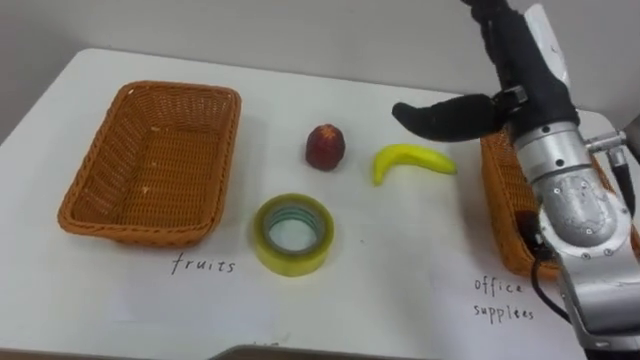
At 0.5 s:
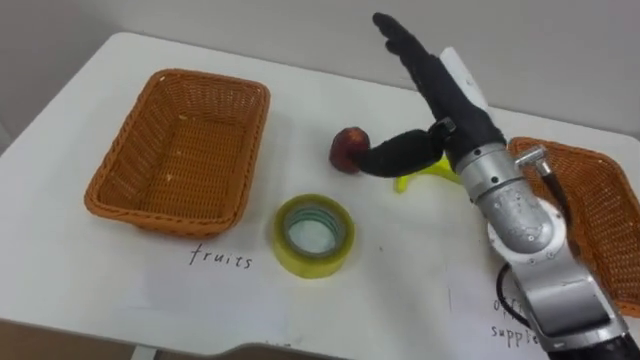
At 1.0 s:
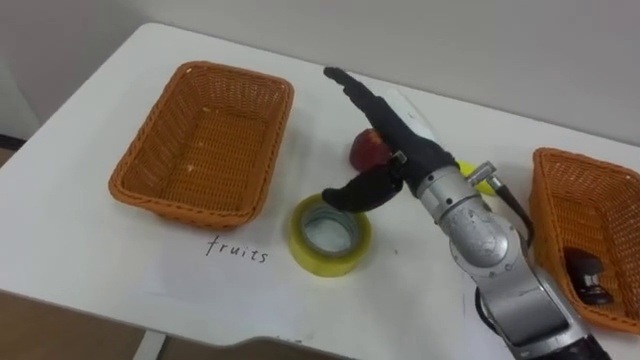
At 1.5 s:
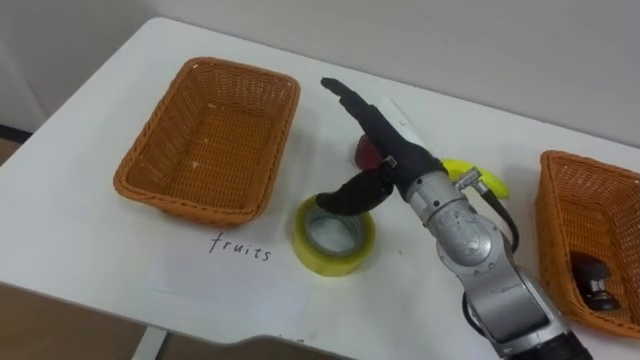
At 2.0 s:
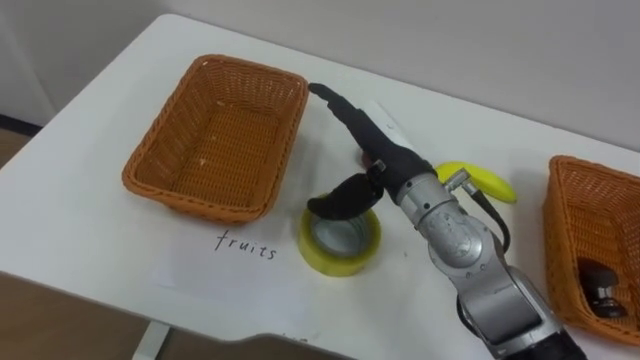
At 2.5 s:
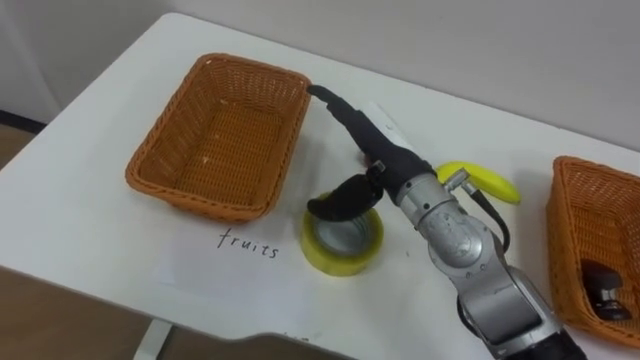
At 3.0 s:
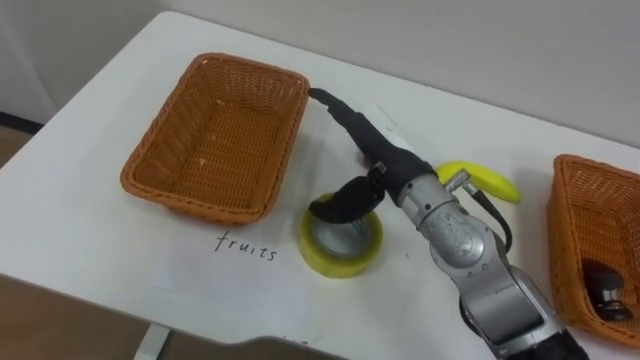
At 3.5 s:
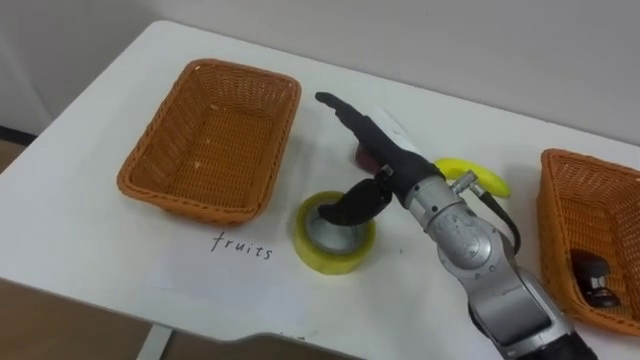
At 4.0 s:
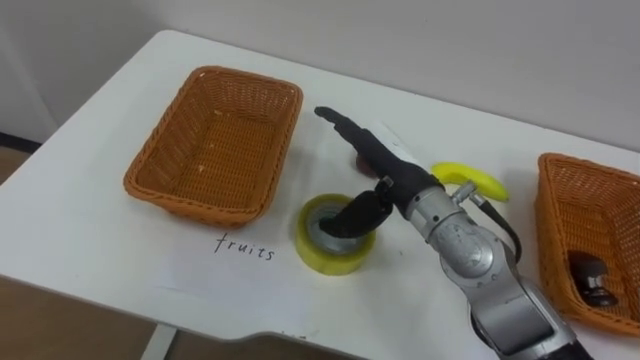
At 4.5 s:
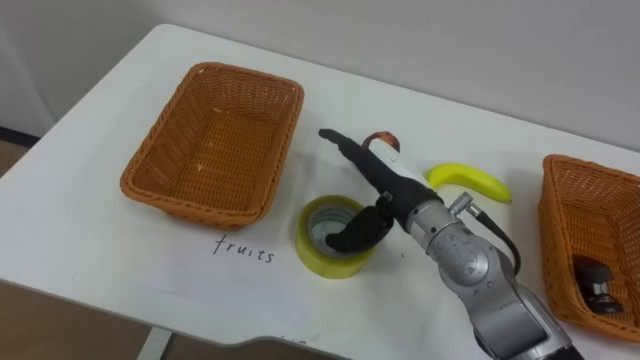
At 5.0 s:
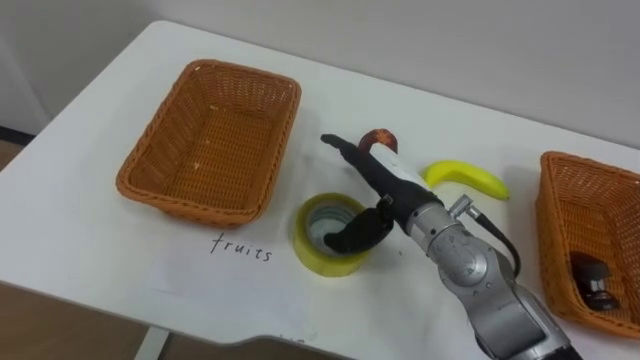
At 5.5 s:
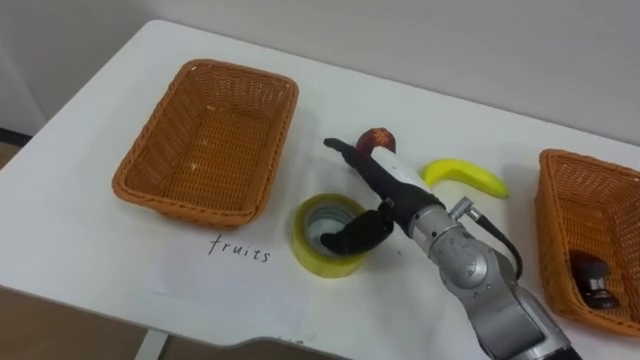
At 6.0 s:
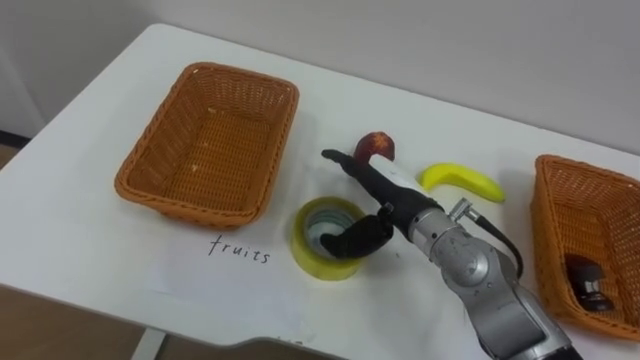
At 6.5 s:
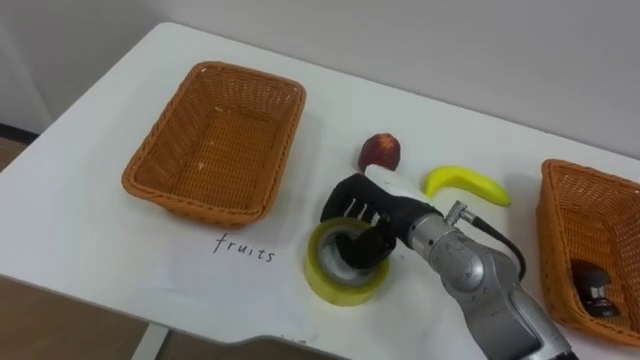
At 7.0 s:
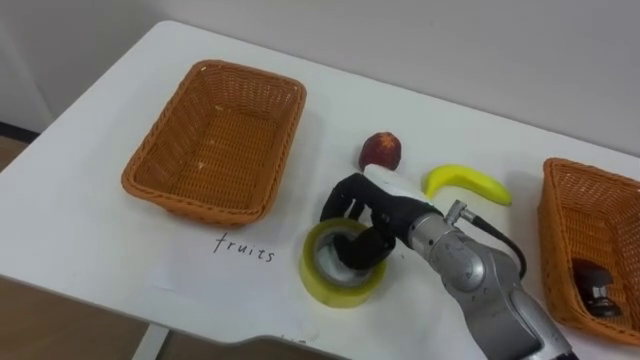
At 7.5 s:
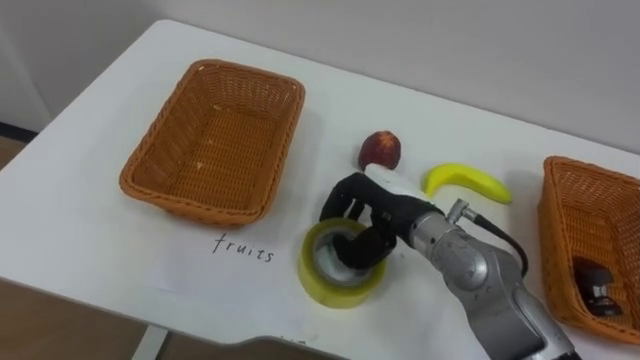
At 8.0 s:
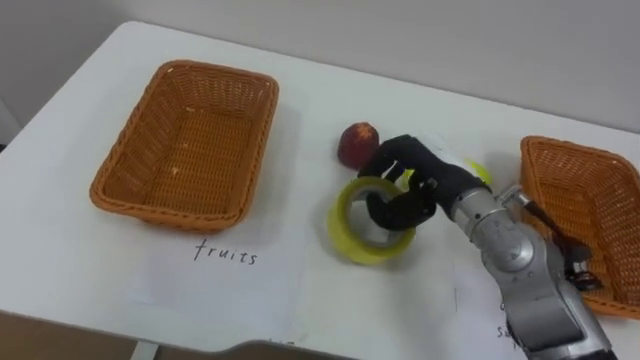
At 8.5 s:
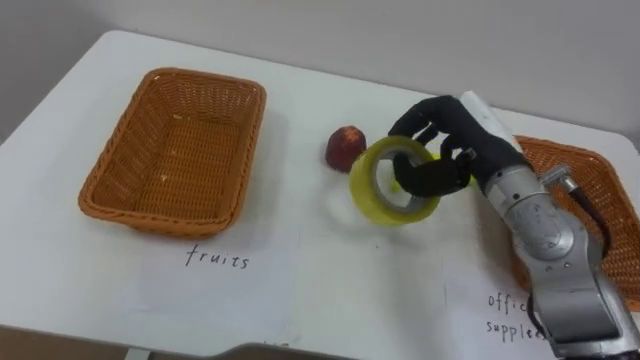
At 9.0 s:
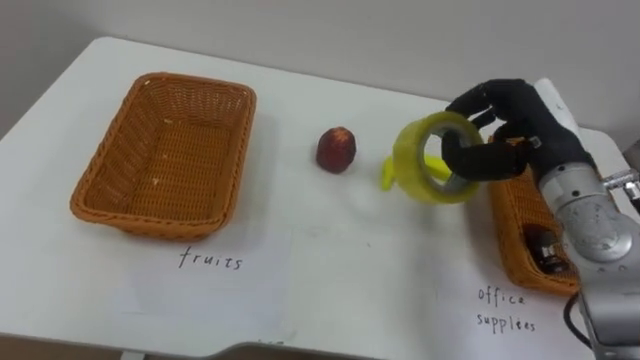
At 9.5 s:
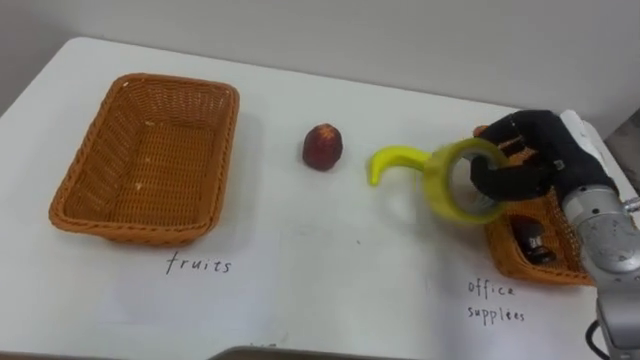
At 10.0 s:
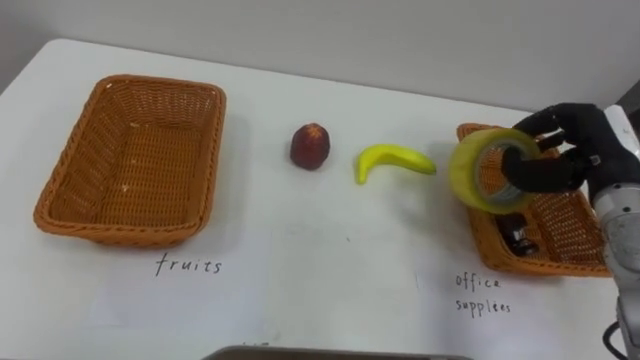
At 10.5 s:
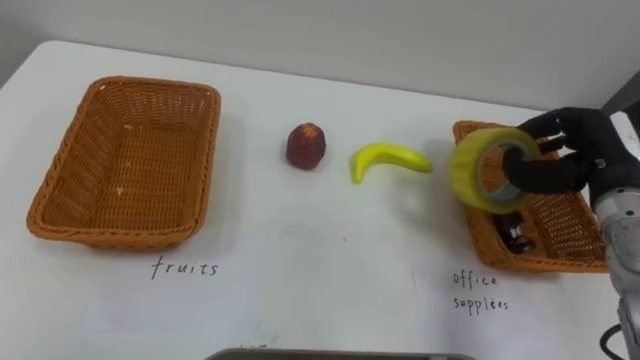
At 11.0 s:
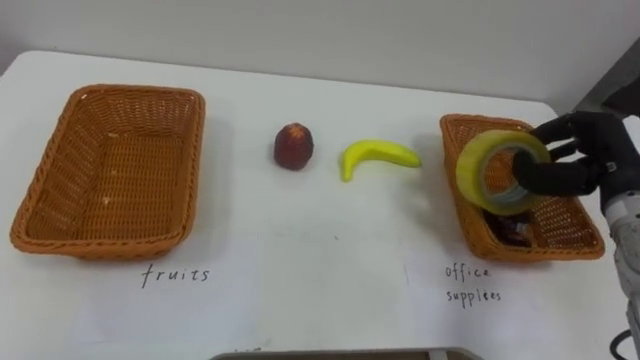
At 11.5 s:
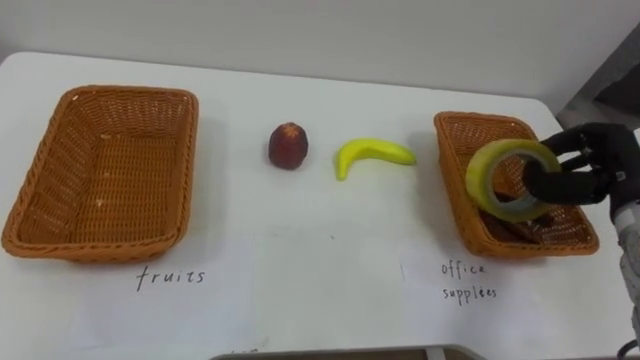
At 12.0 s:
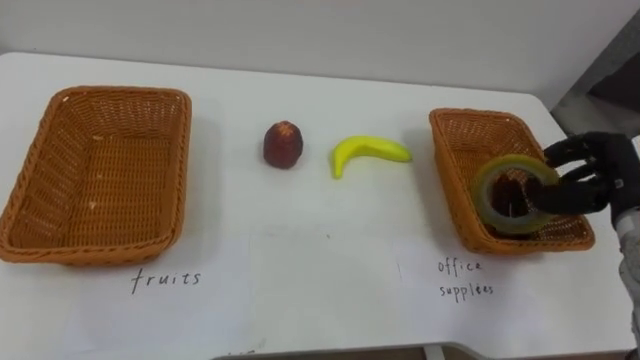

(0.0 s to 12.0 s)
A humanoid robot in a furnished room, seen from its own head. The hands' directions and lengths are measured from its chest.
Task of the whole recording: Separate the items on the table and place them into the two baskets.
0.0 s - 2.0 s: The right hand is displaced to the left and downward by some 15 cm.
6.0 s - 8.0 s: The right hand moves to the right, roughly 5 cm, and closes up.
8.0 s - 10.0 s: The right hand goes roughly 20 cm to the right.
10.0 s - 12.0 s: The right hand shifts by some 5 cm.

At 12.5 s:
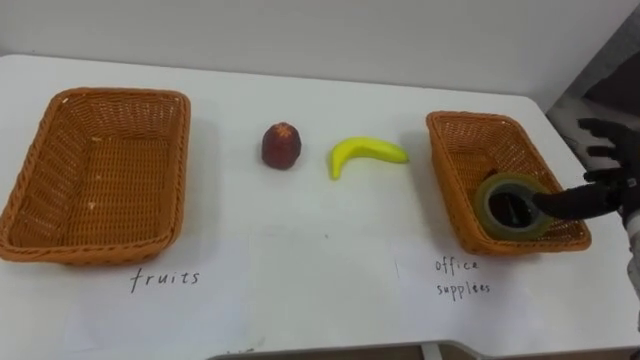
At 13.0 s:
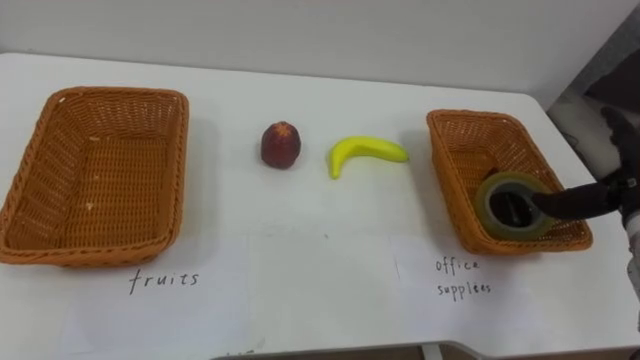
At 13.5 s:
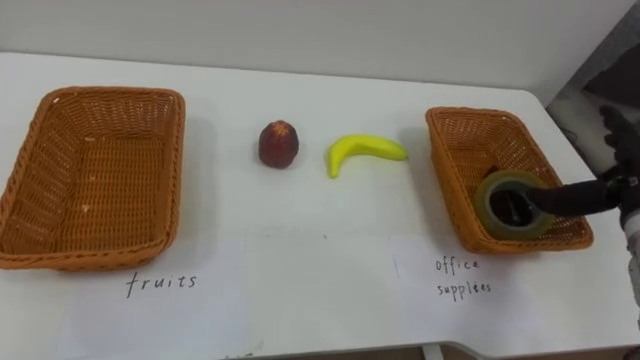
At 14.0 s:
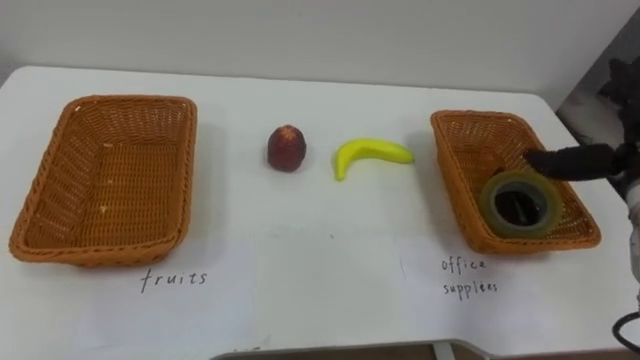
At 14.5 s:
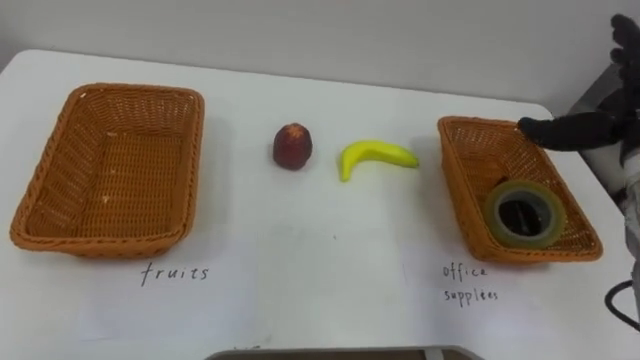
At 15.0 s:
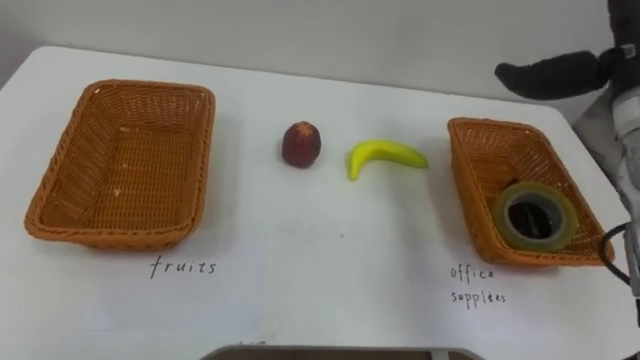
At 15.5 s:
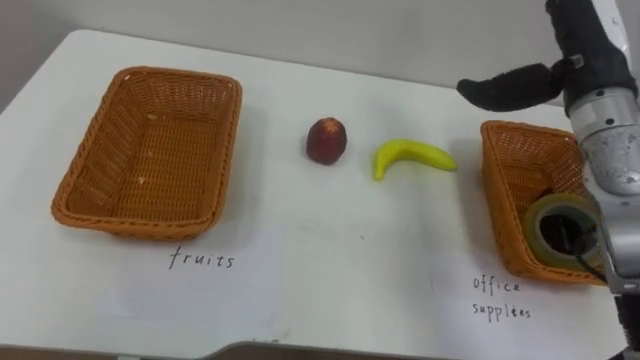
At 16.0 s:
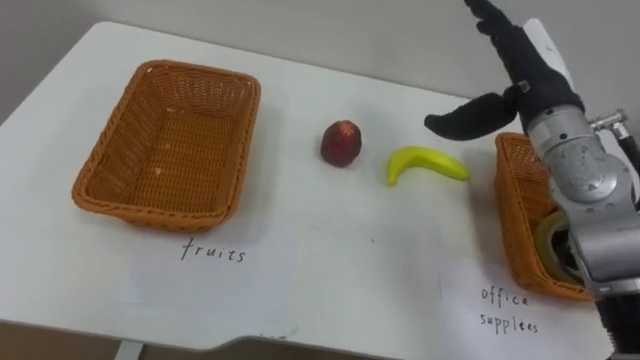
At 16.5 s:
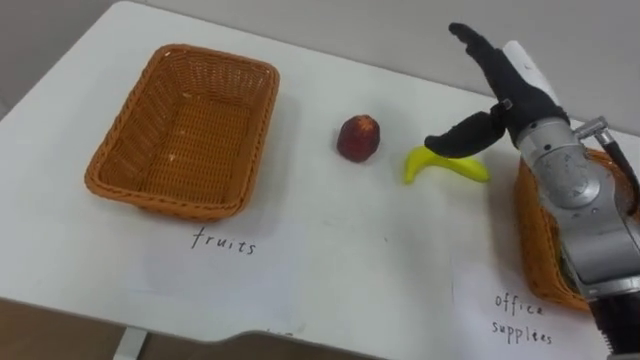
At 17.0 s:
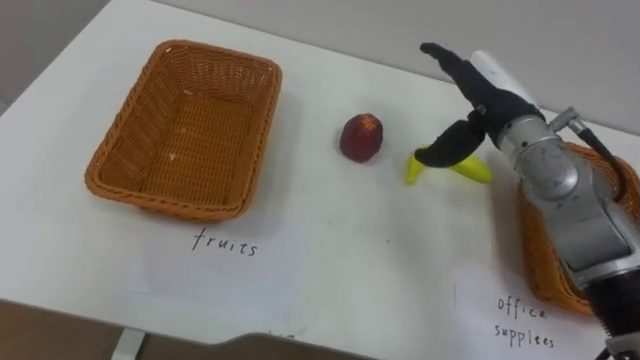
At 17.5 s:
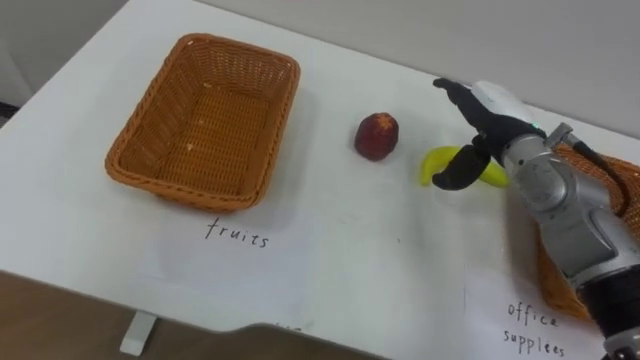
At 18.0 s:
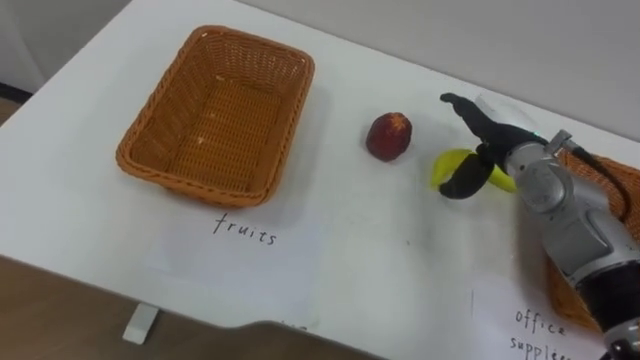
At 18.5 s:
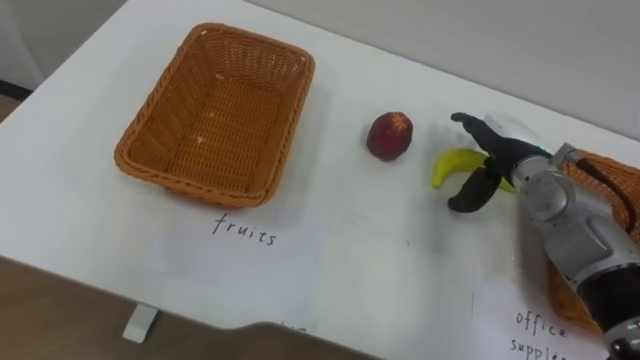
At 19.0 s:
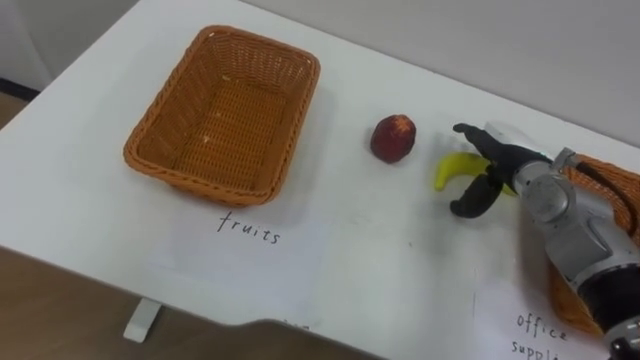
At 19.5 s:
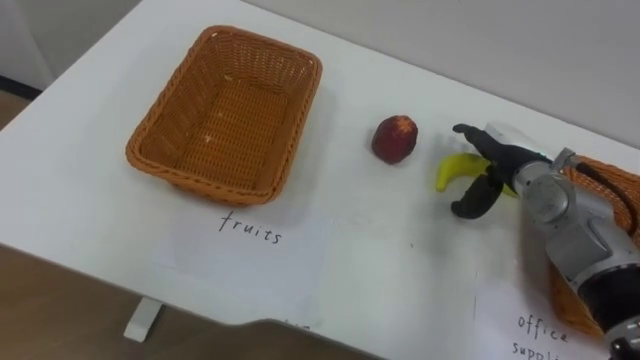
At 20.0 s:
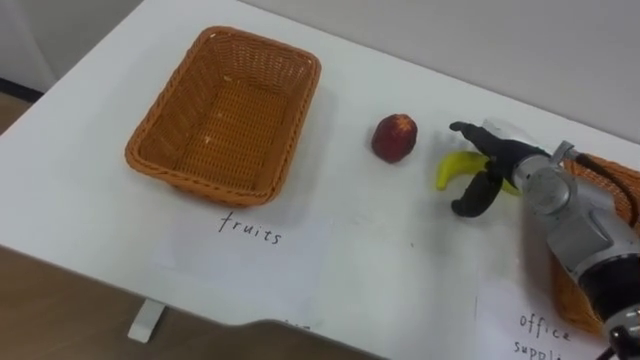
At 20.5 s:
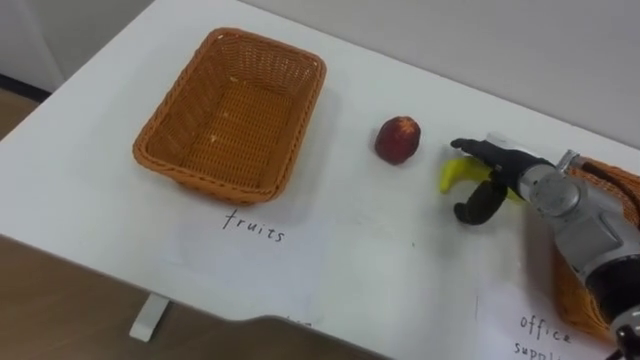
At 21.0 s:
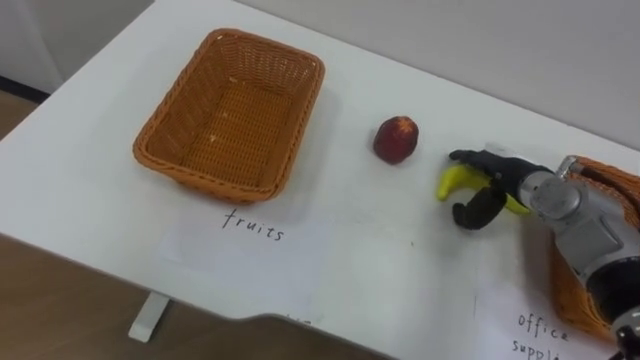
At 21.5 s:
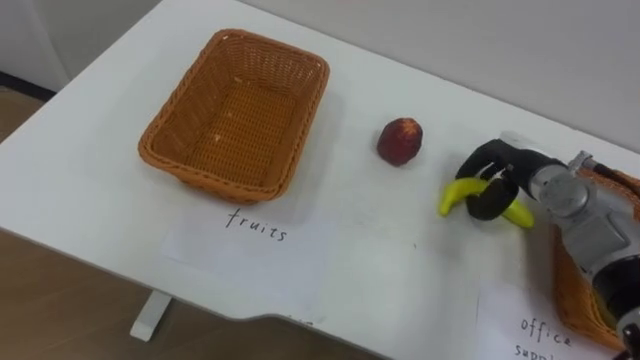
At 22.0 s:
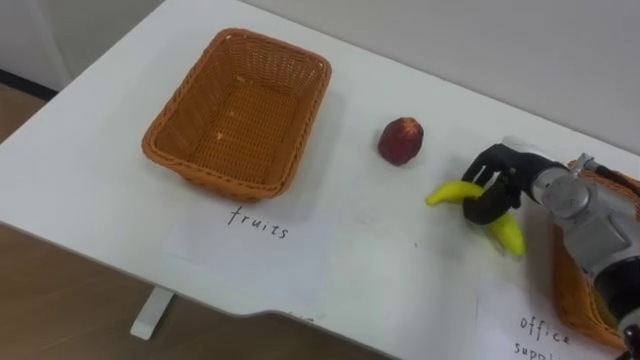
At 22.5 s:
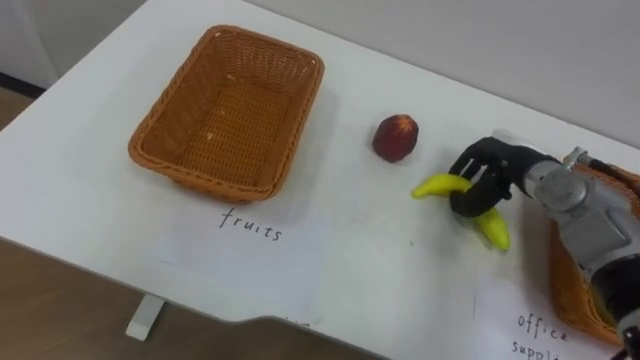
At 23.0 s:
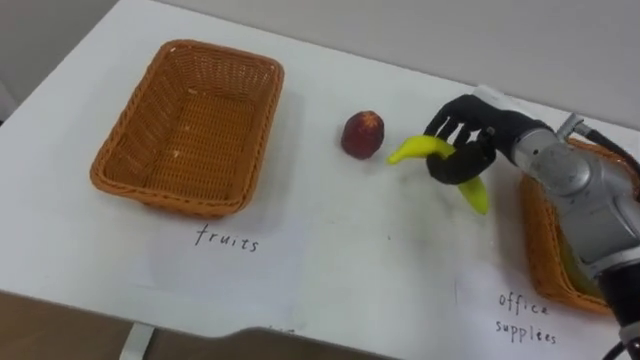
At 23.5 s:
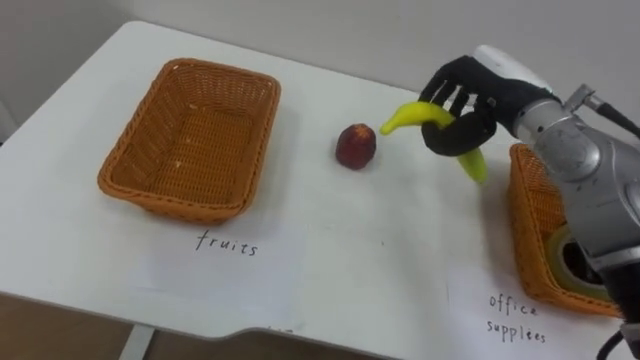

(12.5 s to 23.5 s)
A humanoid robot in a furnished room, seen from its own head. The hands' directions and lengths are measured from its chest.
Task of the whole recording: Separate the items on the table and place them into the two baskets.
14.5 s - 16.0 s: The right hand goes some 10 cm to the left.
16.0 s - 18.0 s: The right hand travels downward by roughly 10 cm.
20.0 s - 21.5 s: The right hand closes its fingers.
21.5 s - 23.5 s: The right hand moves upward and to the left, some 15 cm.
